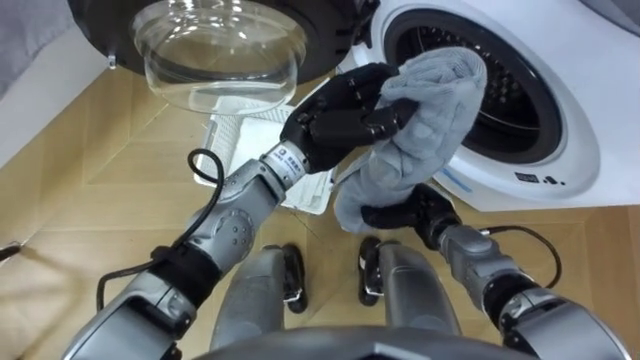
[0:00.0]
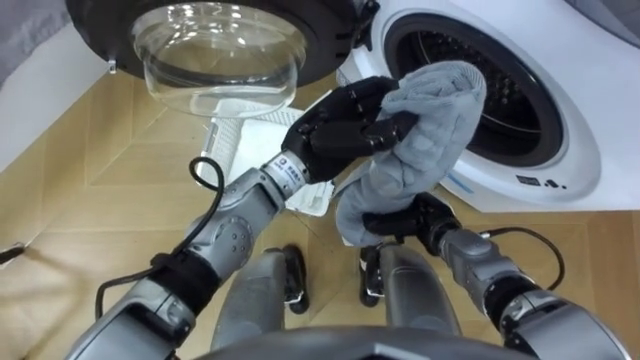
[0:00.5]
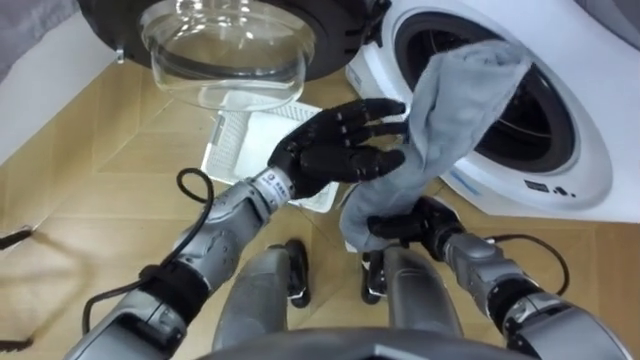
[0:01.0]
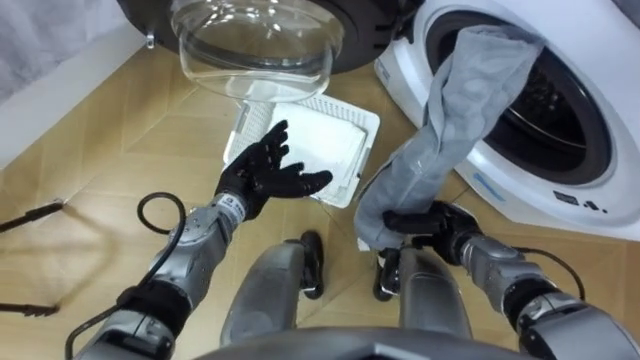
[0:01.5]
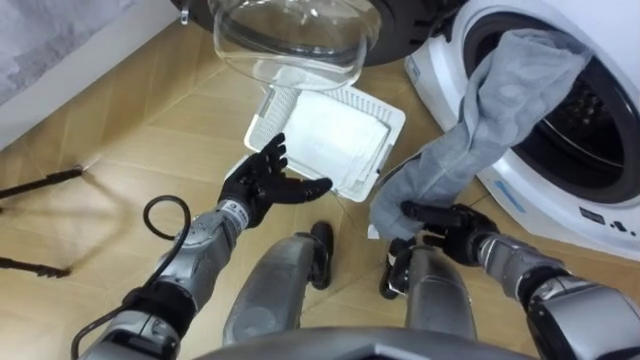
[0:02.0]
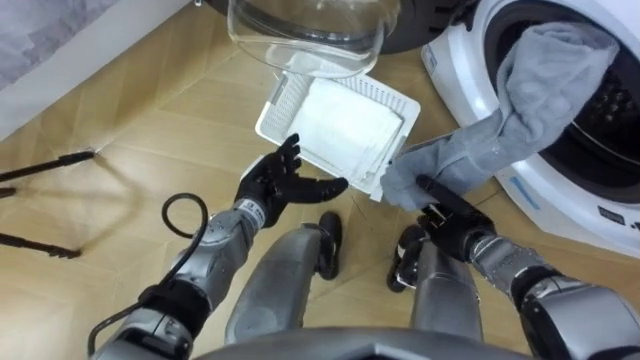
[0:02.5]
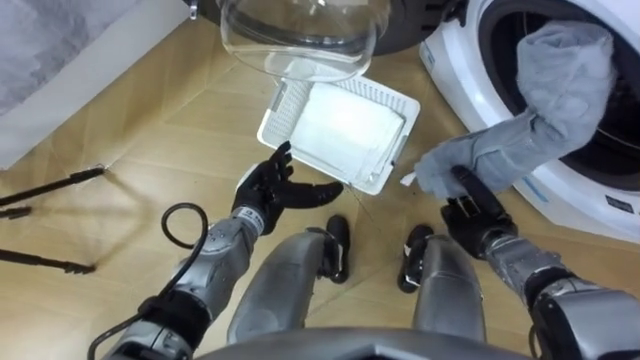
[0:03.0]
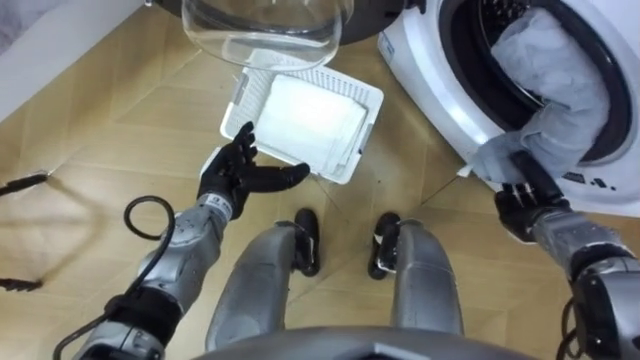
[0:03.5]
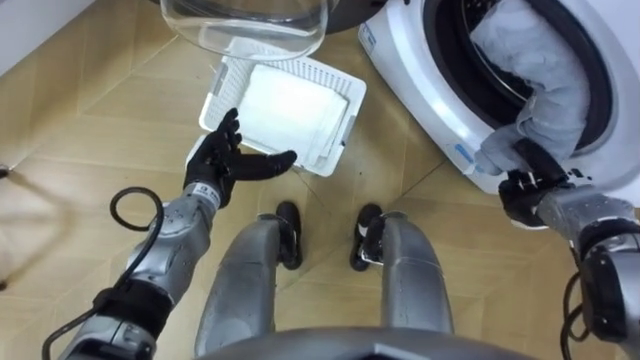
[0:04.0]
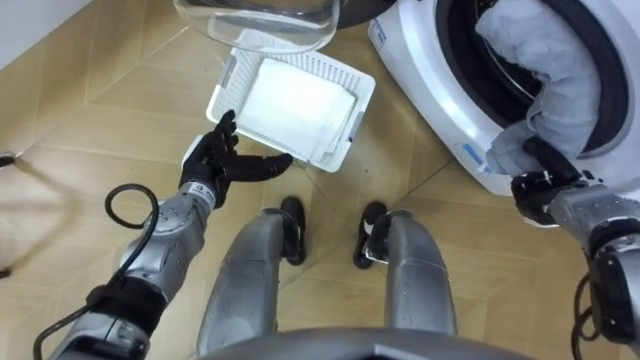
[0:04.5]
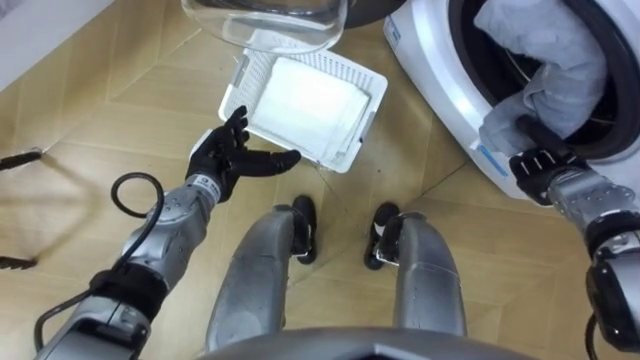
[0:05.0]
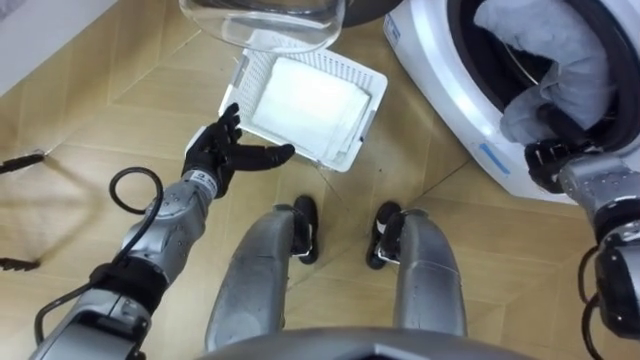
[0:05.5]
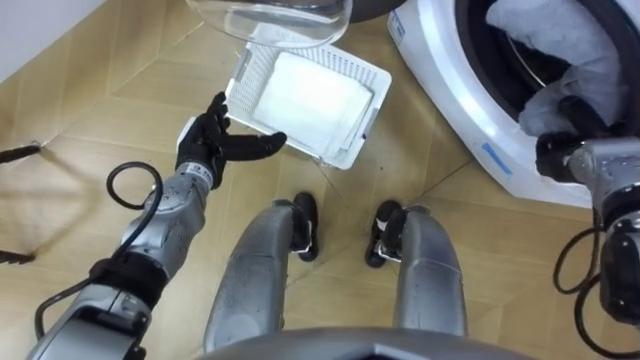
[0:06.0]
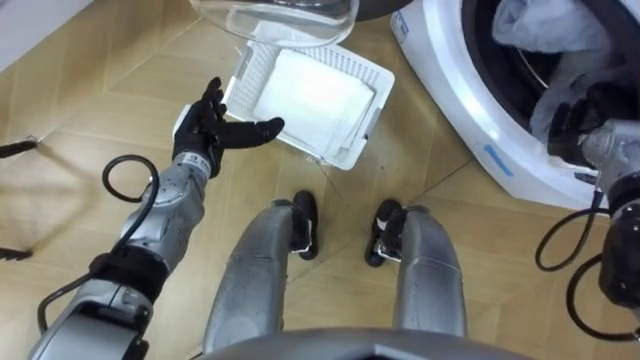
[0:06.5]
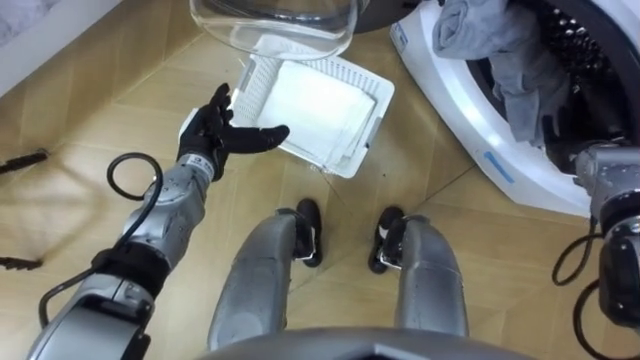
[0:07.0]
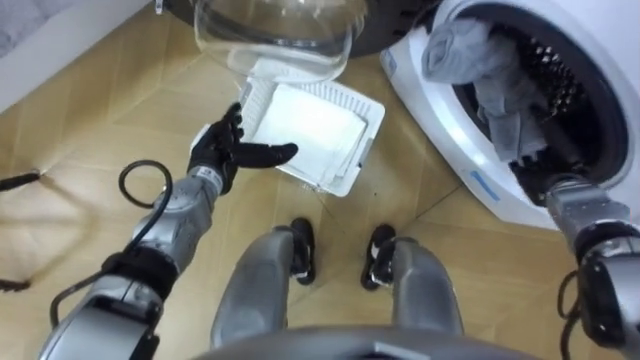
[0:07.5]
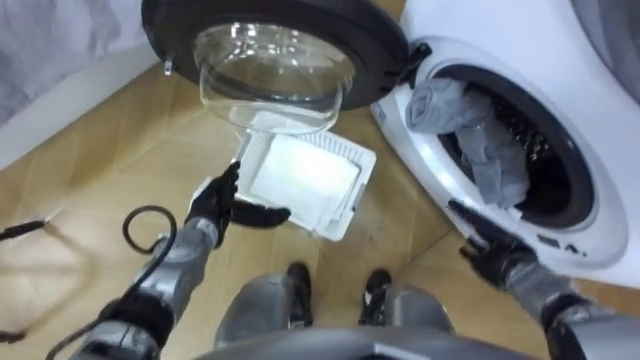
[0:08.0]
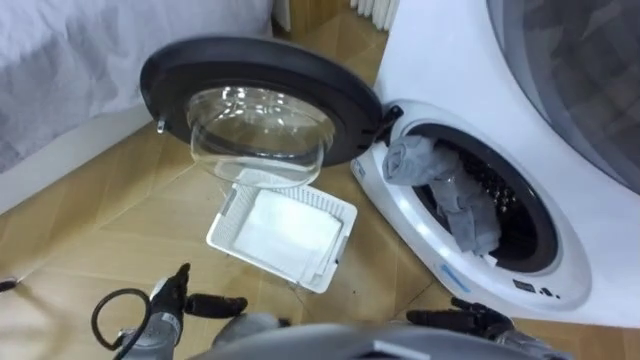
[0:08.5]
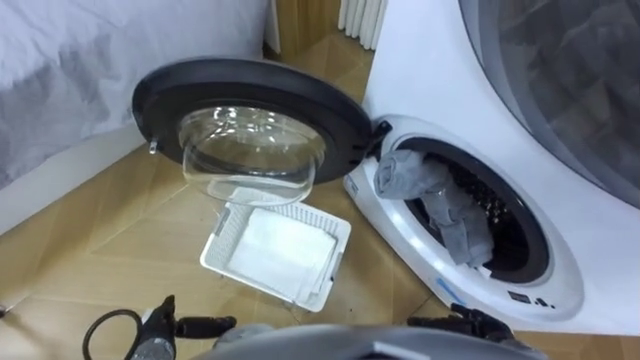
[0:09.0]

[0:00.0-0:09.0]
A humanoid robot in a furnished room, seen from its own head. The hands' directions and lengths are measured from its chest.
Task of the whole recording: Take the towel from the basket and put it into the washing machine.
0:00.0 to 0:02.0: The left hand travels downward and to the left by approximately 15 cm, and opens up; the right hand is displaced to the right by about 5 cm.
0:02.0 to 0:04.5: The right hand travels to the right and upward by roughly 15 cm. The left hand travels to the left by roughly 5 cm.
0:04.5 to 0:07.0: The right hand heads upward and forward, covering some 10 cm, and opens up.
0:07.0 to 0:09.0: The left hand goes about 30 cm backward and downward. Meanwhile the right hand heads backward, downward and to the left, covering some 30 cm.

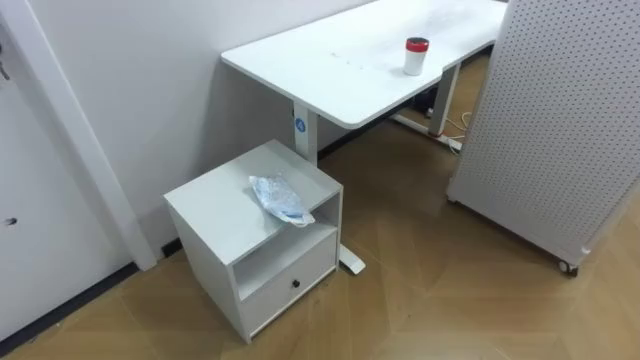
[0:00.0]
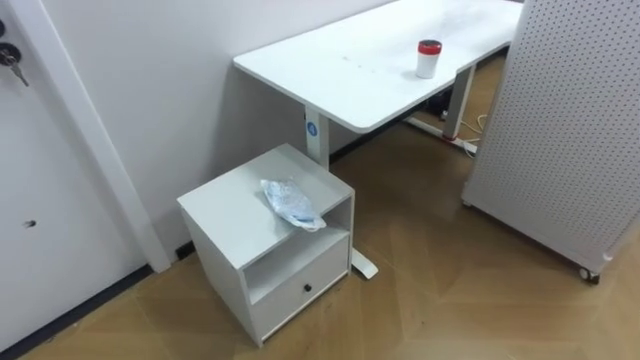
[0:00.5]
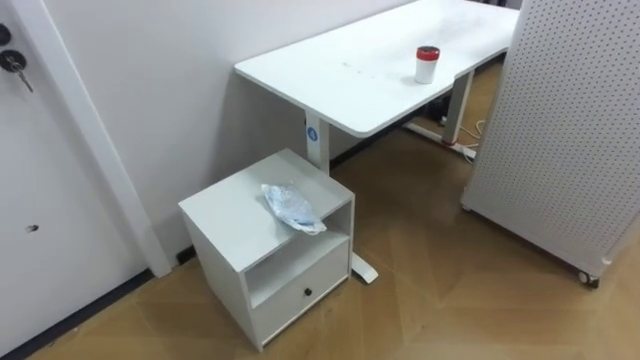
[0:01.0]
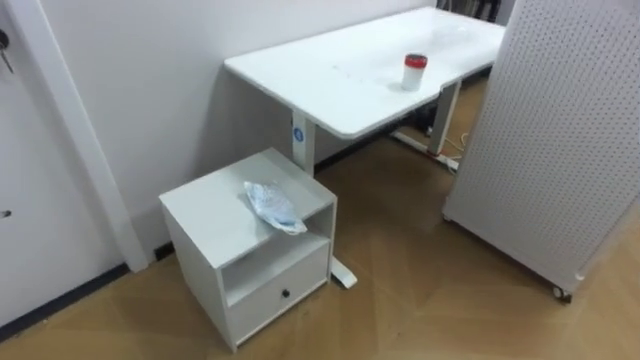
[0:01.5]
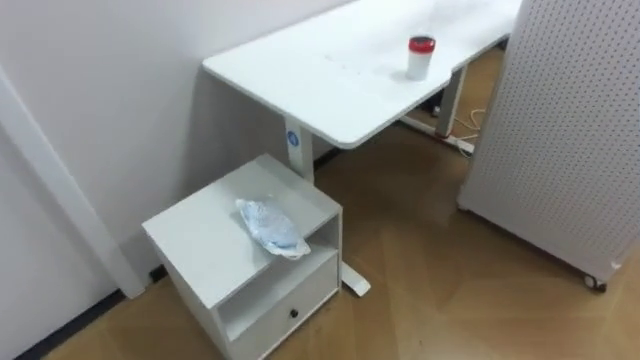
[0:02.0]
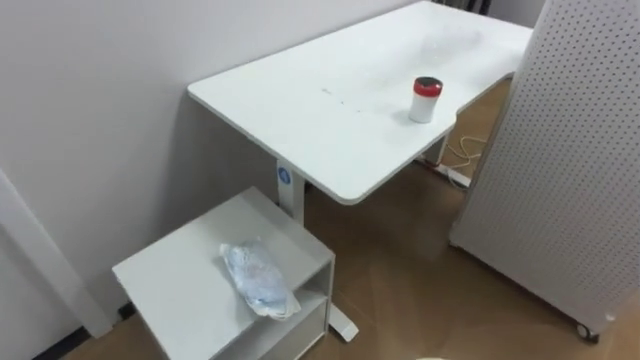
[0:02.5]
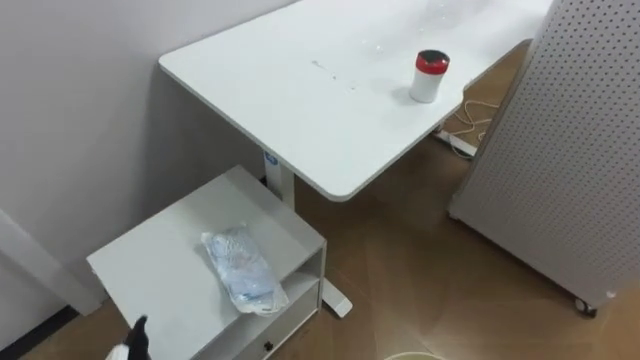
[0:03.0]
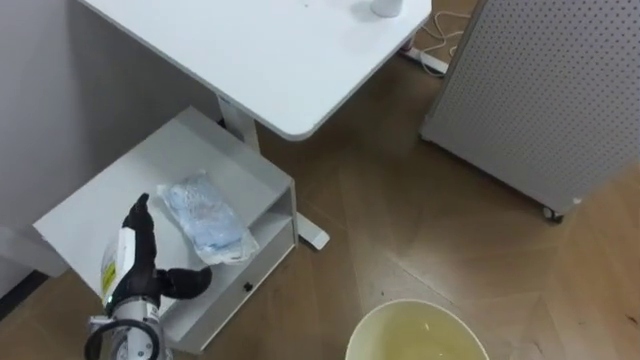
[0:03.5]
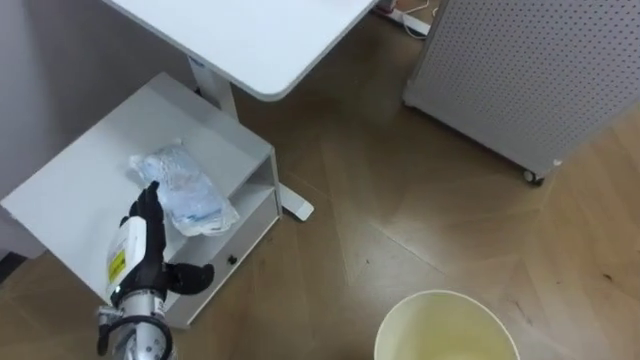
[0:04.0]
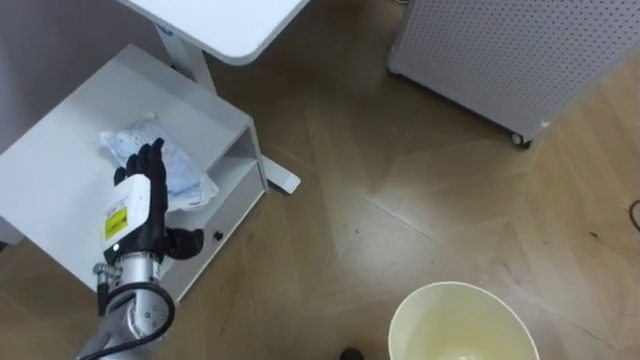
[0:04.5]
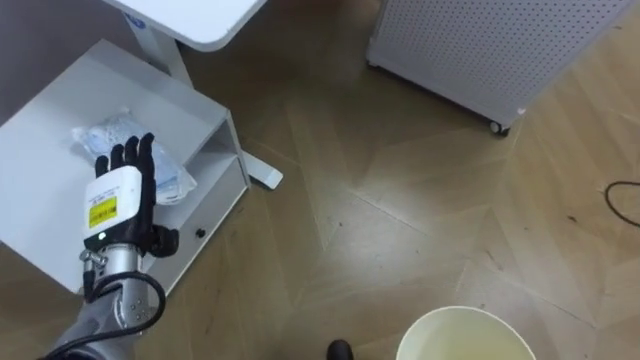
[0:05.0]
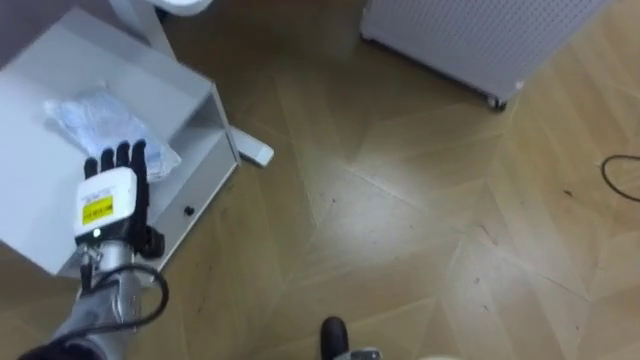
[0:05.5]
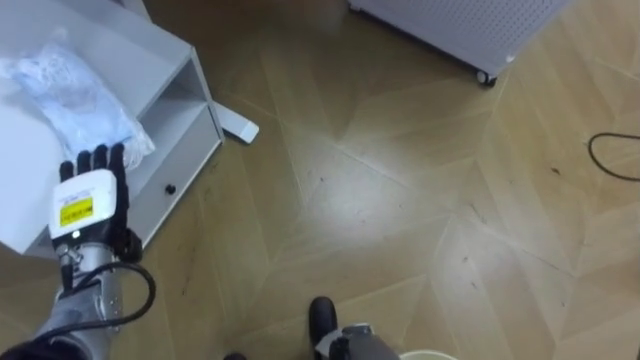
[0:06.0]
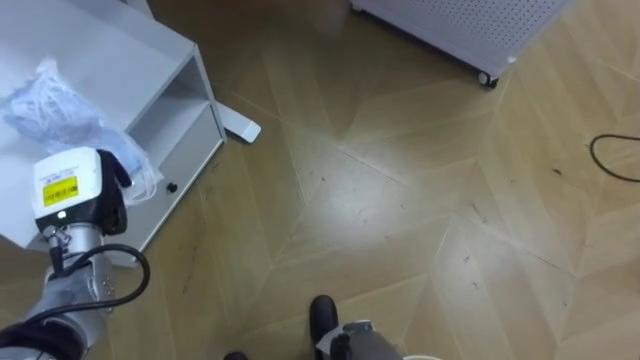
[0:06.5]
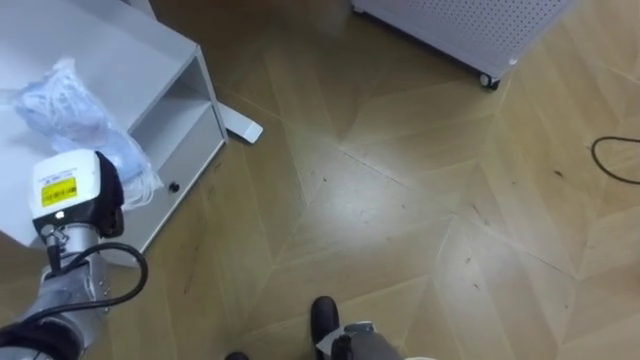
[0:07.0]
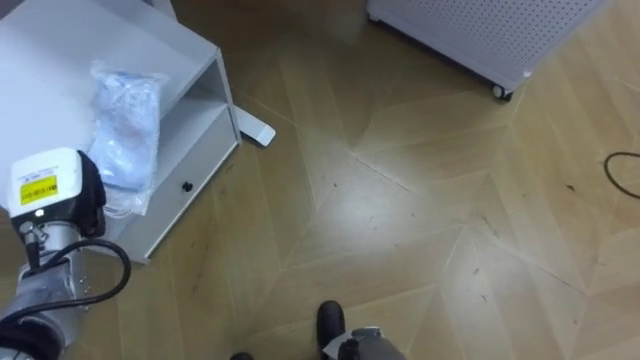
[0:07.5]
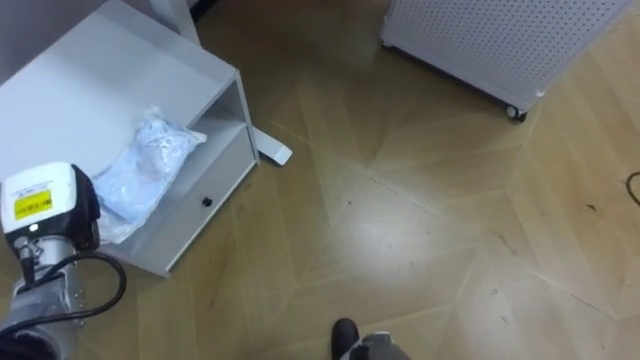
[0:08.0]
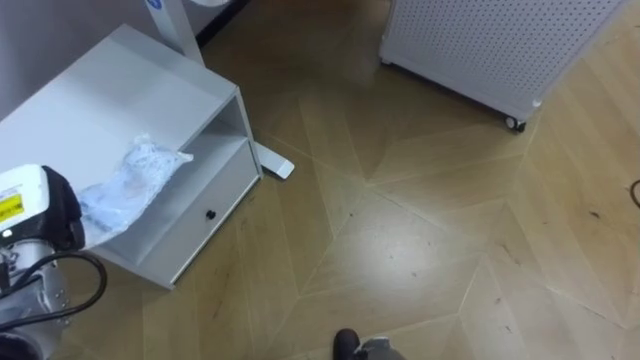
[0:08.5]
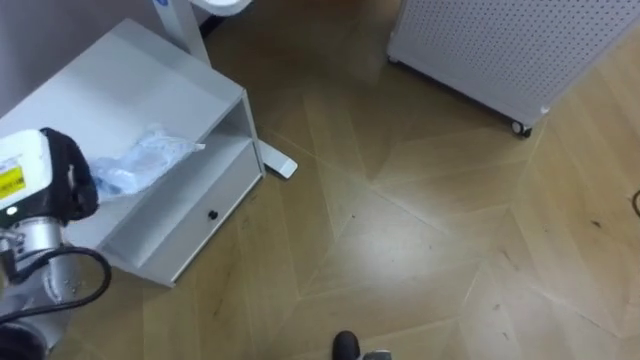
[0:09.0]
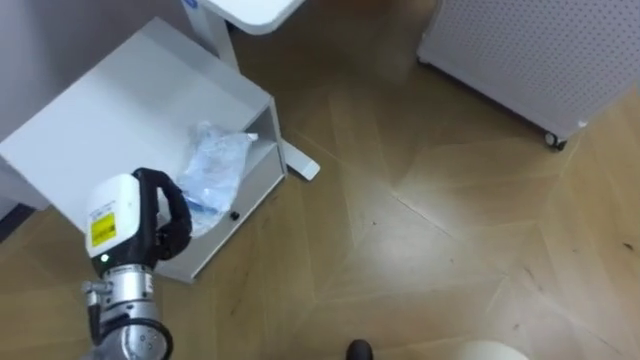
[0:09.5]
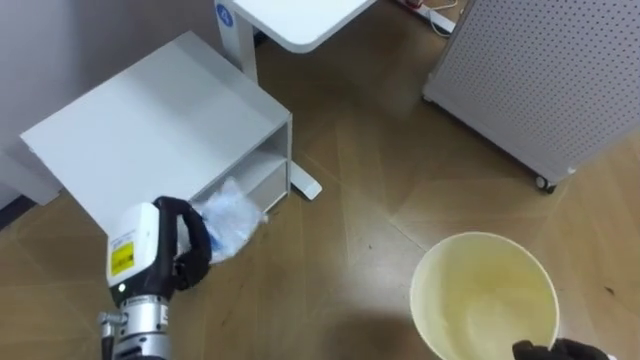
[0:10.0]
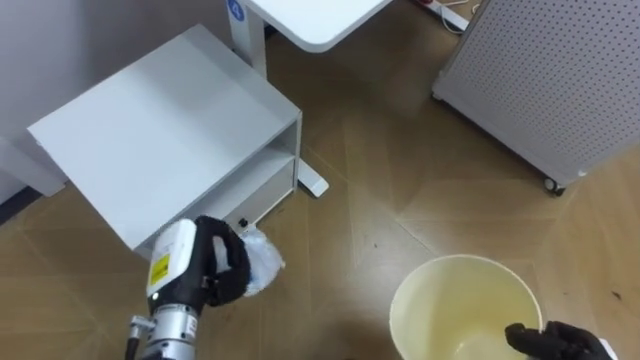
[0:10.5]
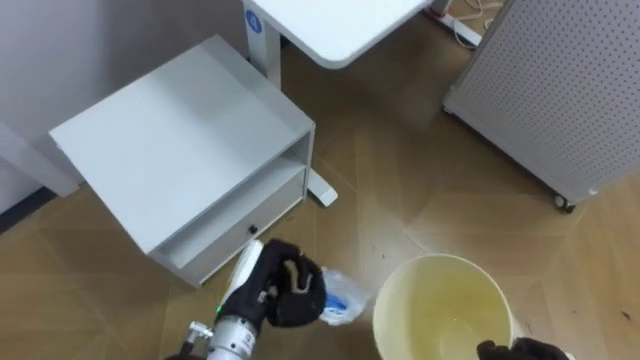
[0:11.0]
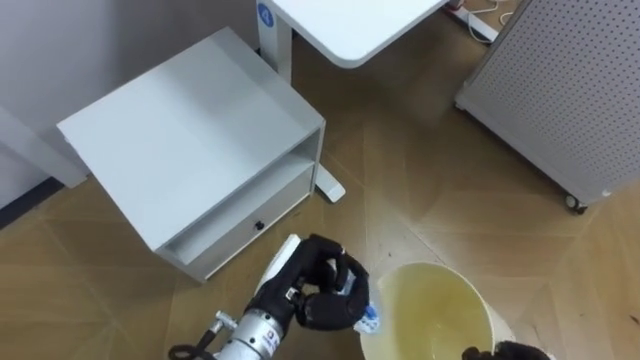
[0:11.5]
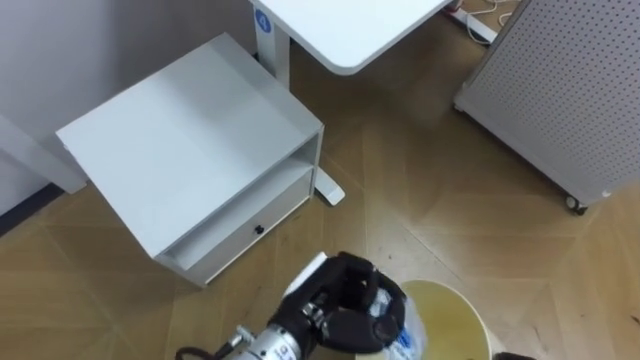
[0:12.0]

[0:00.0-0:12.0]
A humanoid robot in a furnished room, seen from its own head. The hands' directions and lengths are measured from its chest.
Task of the whole recording: Pick up the light blue package, the candy box, and the dark blue package separately, and put them into the trash can held in your right hand.
0:04.0 to 0:06.0: The left hand heads upward and to the left, covering about 5 cm.
0:06.0 to 0:08.0: The left hand closes its fingers.
0:08.0 to 0:10.0: The left hand travels to the right by approximately 10 cm.
0:10.0 to 0:12.0: The left hand moves to the right, some 20 cm.
